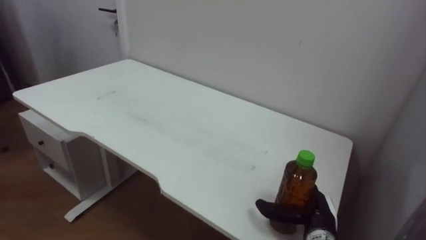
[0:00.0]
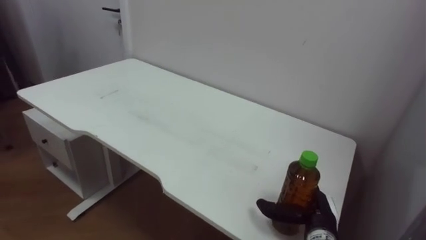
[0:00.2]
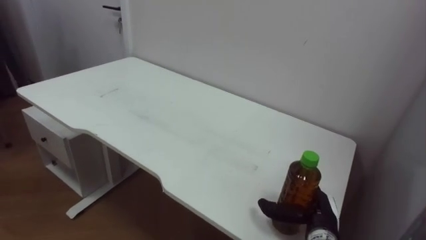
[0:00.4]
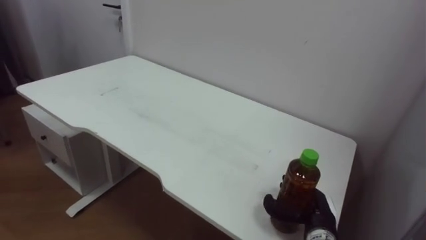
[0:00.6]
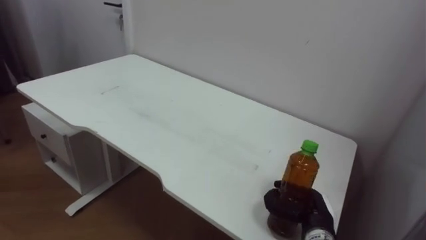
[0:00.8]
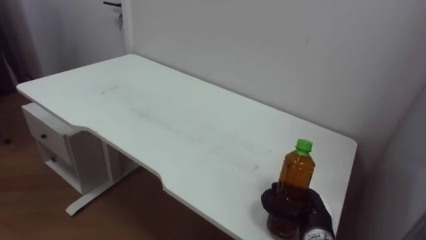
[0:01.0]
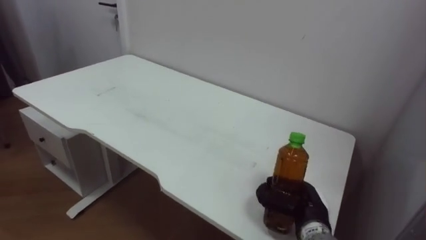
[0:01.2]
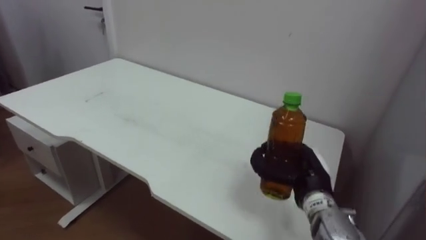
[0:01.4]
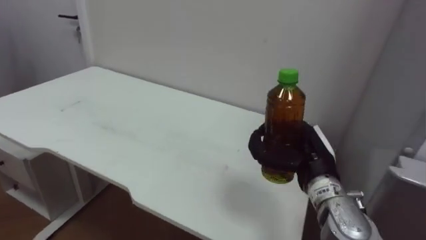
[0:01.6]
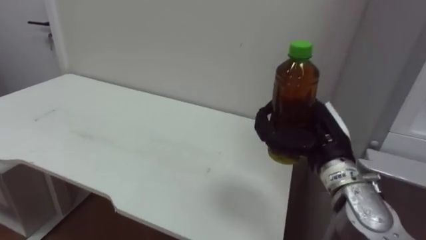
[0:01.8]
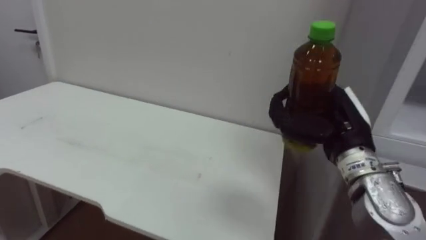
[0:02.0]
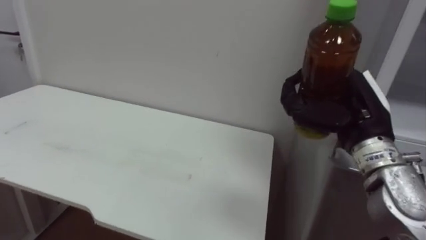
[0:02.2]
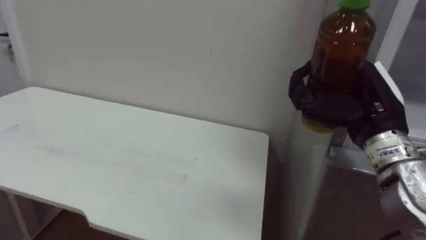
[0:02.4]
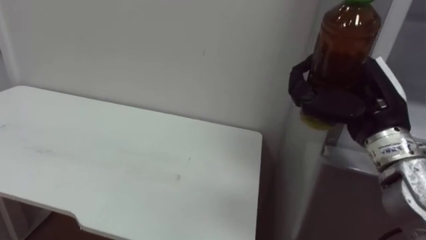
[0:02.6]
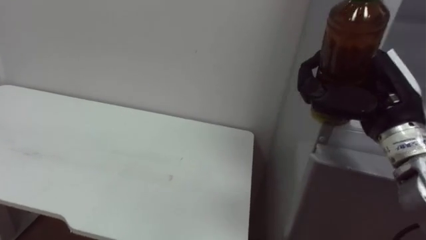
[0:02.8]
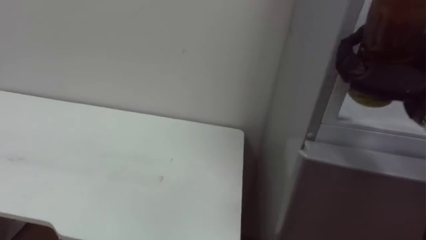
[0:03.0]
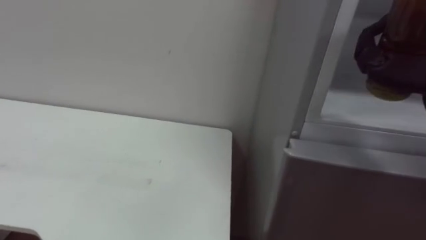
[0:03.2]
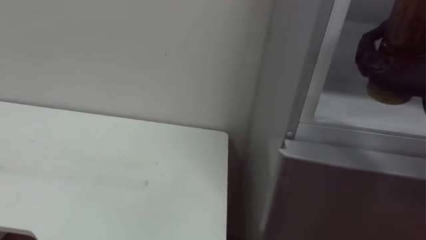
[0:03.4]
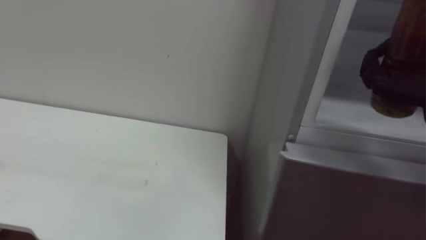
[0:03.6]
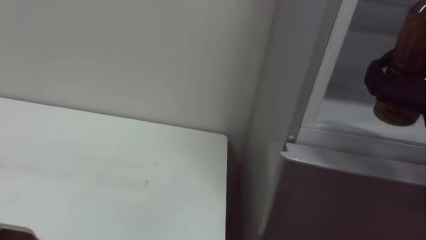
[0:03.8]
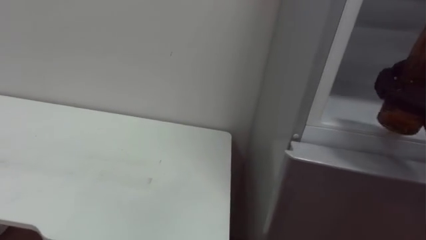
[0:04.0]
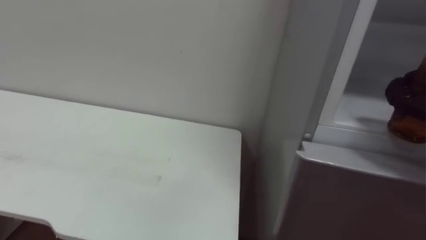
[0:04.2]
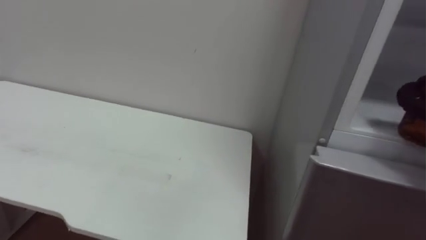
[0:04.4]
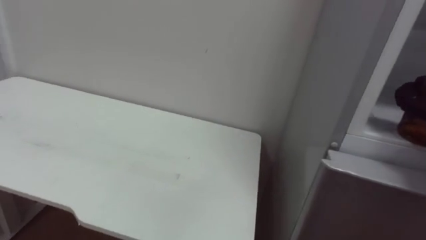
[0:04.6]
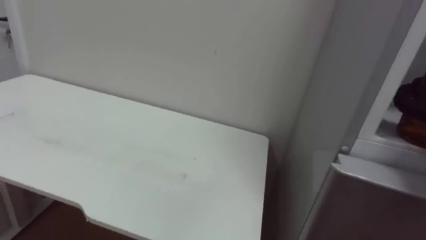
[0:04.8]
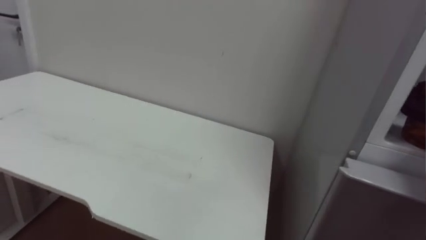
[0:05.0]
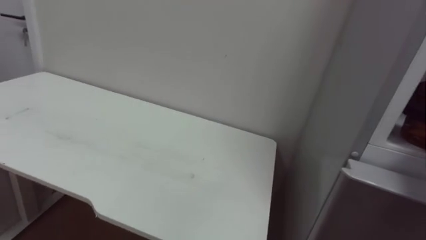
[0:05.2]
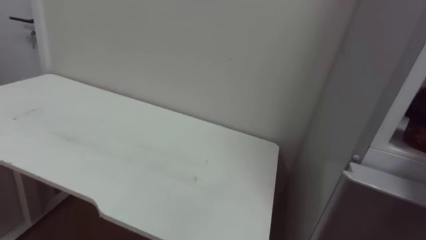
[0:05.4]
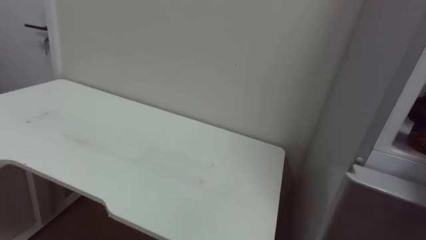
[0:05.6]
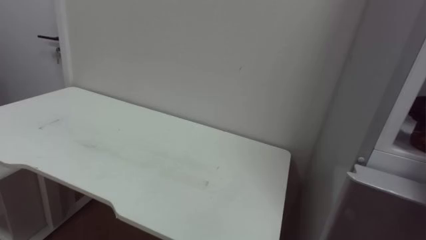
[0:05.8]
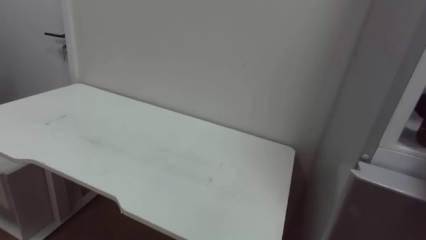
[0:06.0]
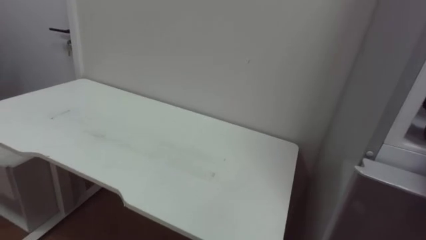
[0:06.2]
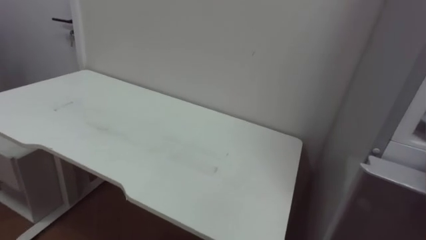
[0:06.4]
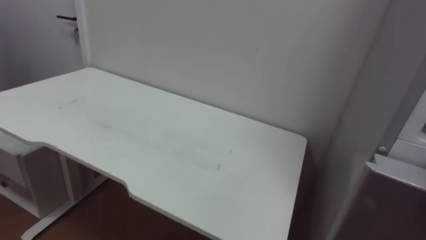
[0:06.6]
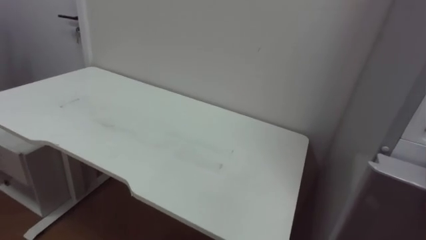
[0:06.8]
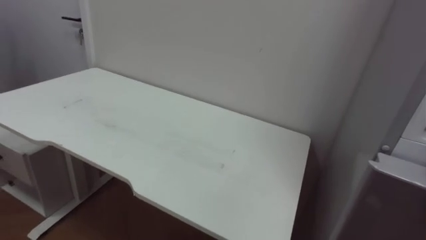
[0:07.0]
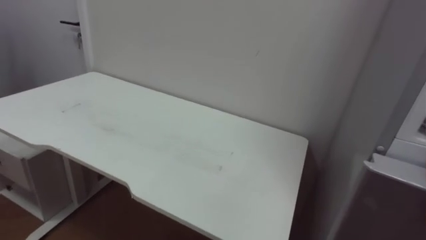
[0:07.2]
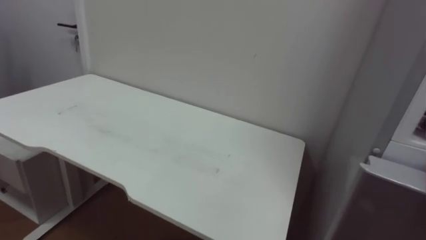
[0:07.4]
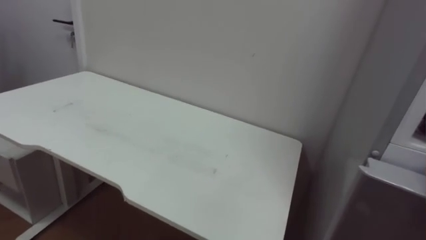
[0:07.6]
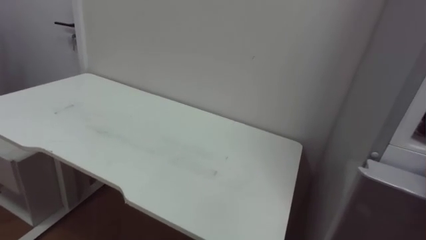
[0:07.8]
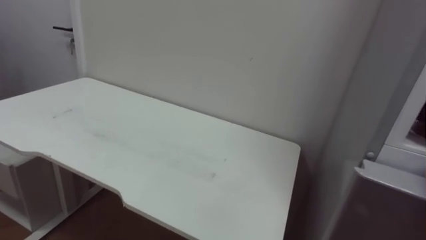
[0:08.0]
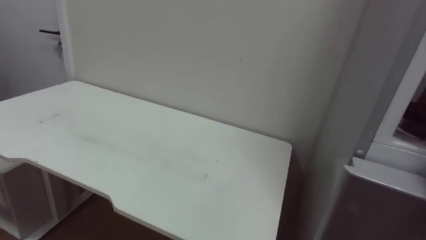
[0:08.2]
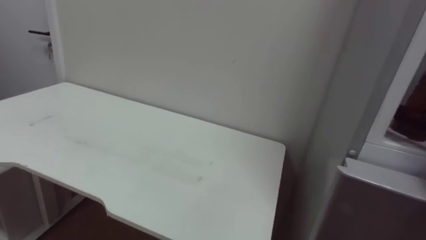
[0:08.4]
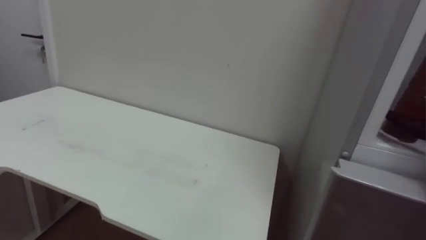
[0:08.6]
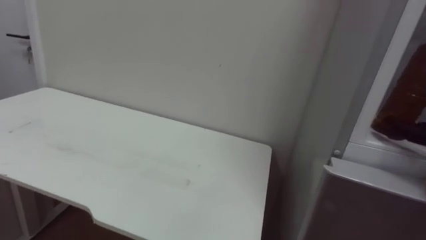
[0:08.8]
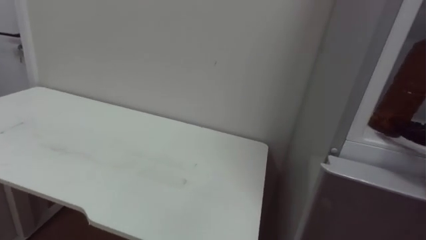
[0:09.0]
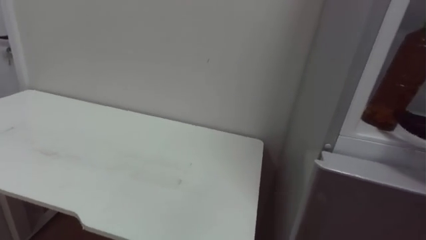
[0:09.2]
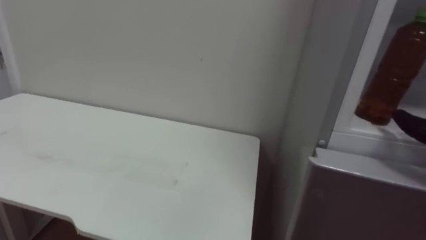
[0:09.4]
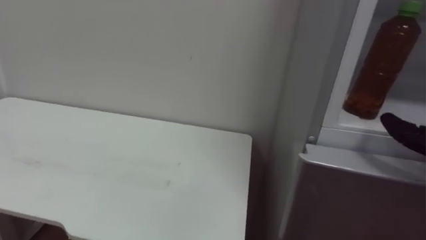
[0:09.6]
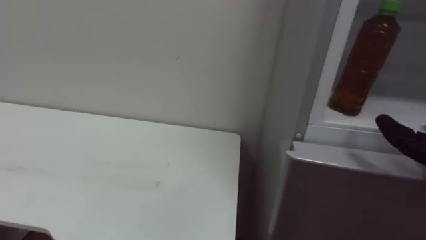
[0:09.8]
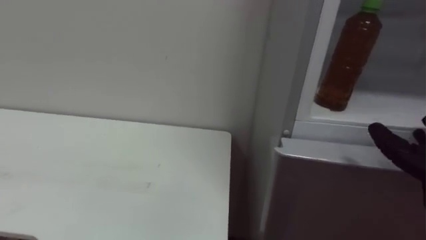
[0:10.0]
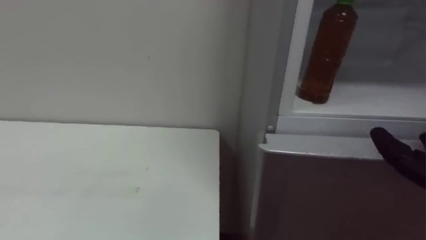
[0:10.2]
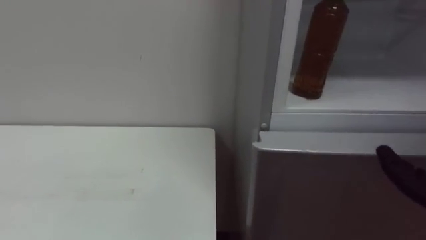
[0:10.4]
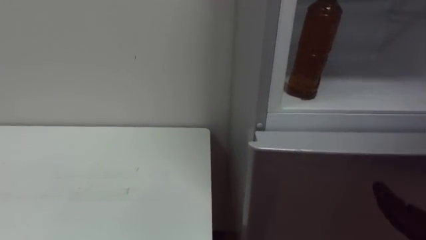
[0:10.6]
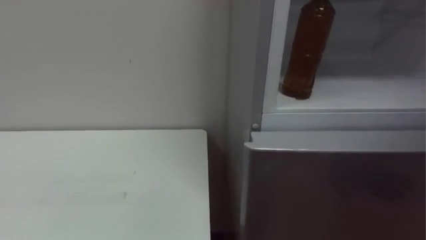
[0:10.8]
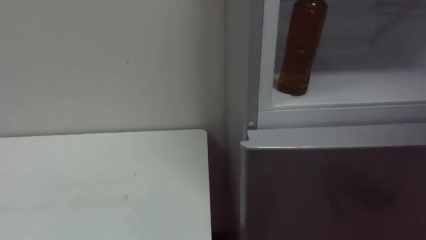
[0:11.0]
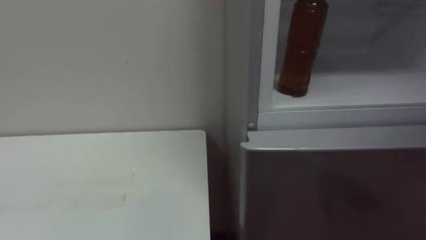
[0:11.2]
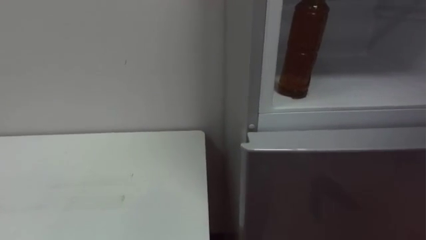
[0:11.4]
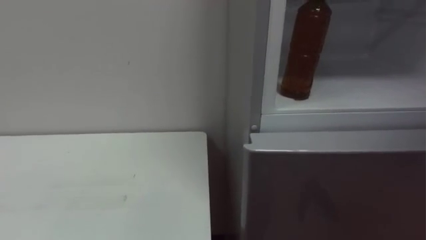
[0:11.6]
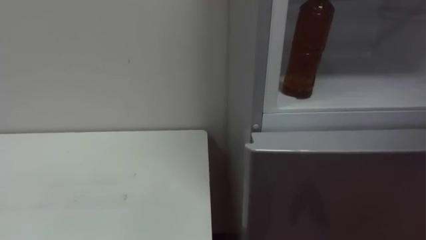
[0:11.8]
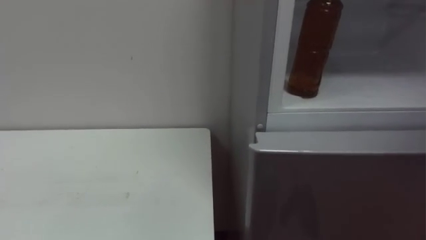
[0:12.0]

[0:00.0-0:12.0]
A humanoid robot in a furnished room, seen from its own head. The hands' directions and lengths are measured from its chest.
Task of the whole recording: Open the upper refrigerator door, put the drink from the table into the refrigerator, and then close the refrigerator door.
0:00.0 to 0:01.6: The right hand moves upward, about 15 cm, and closes its fingers.
0:01.6 to 0:03.0: The right hand shifts roughly 20 cm upward and to the right.

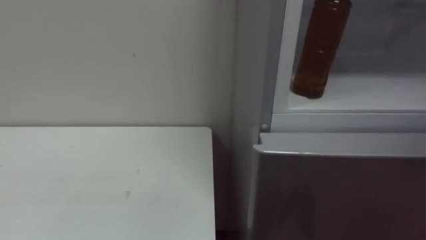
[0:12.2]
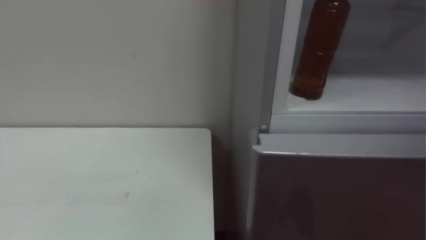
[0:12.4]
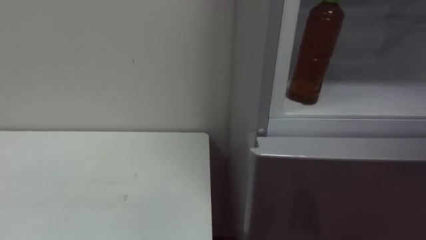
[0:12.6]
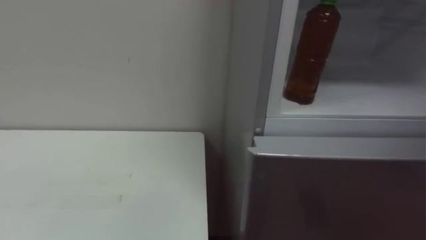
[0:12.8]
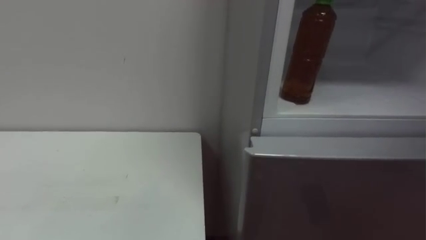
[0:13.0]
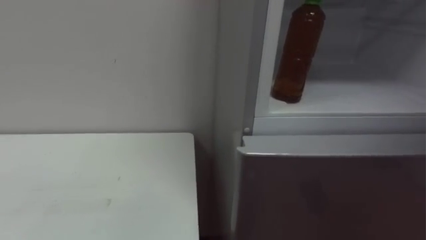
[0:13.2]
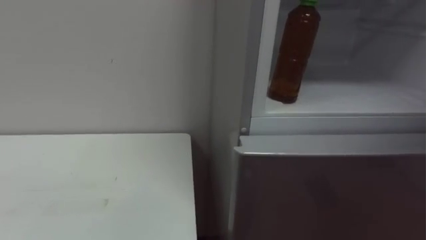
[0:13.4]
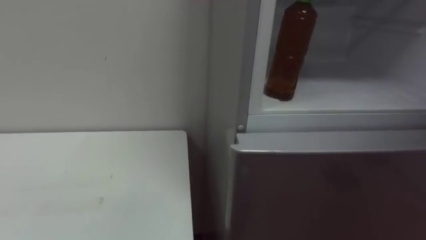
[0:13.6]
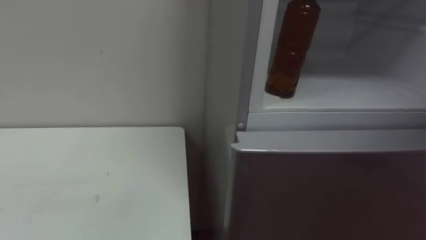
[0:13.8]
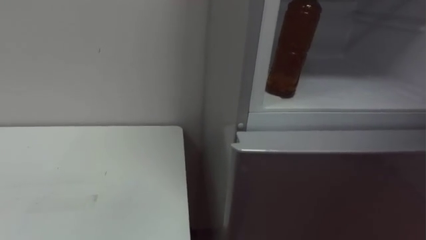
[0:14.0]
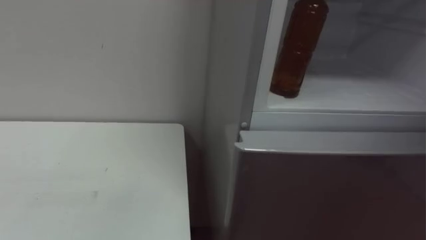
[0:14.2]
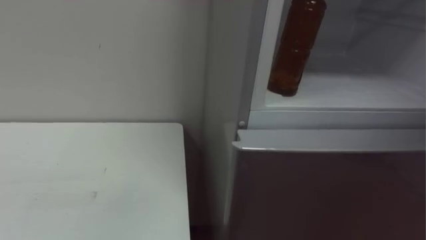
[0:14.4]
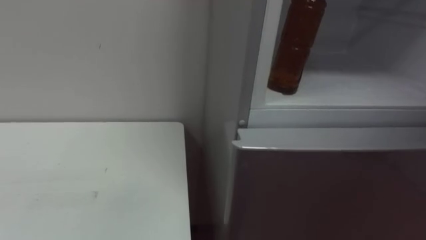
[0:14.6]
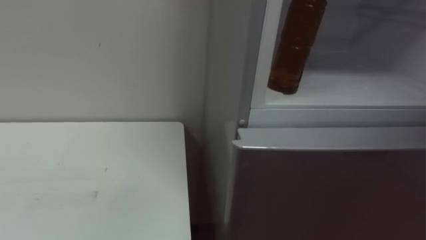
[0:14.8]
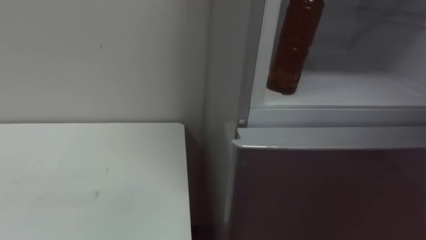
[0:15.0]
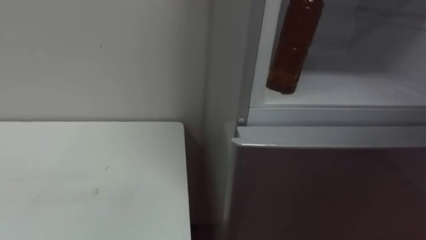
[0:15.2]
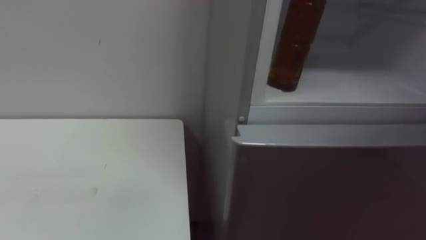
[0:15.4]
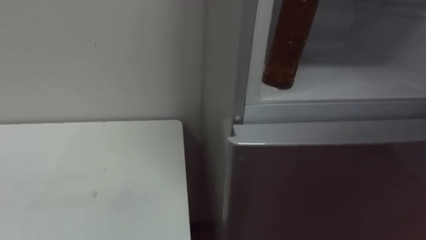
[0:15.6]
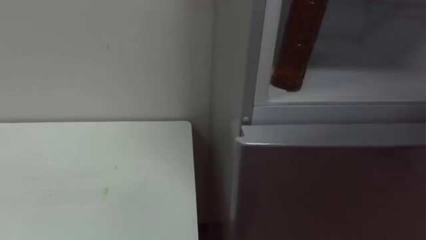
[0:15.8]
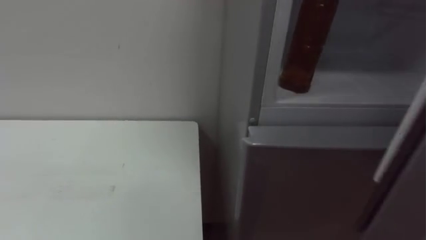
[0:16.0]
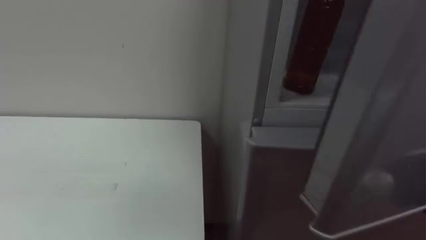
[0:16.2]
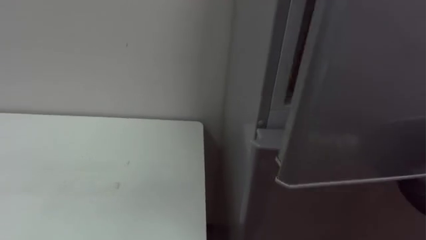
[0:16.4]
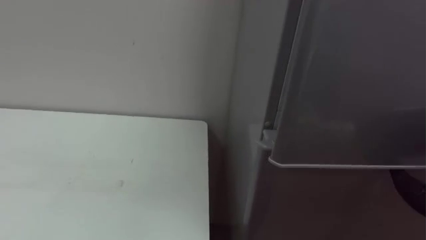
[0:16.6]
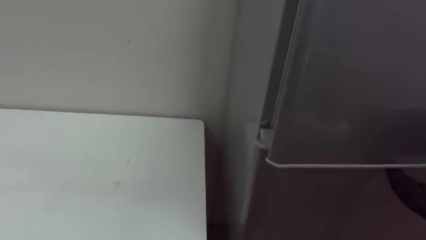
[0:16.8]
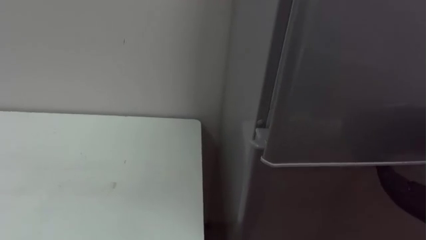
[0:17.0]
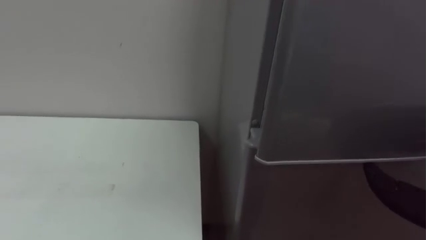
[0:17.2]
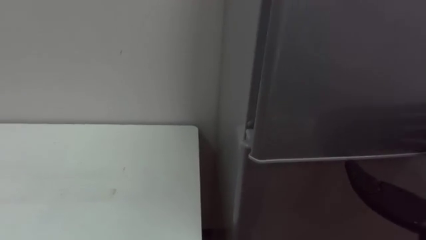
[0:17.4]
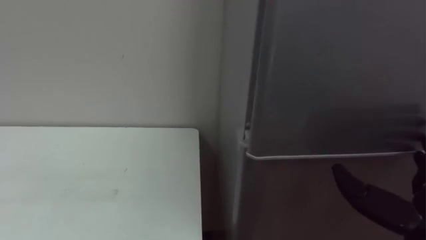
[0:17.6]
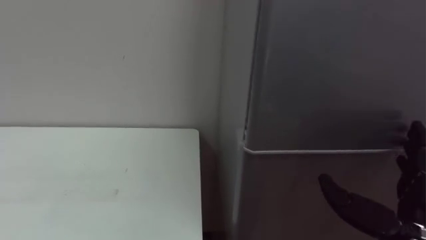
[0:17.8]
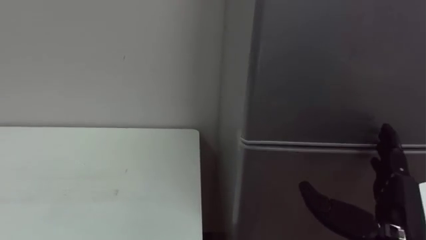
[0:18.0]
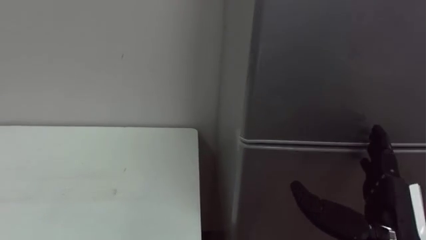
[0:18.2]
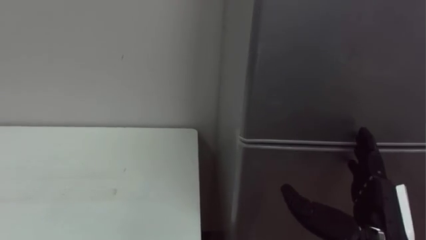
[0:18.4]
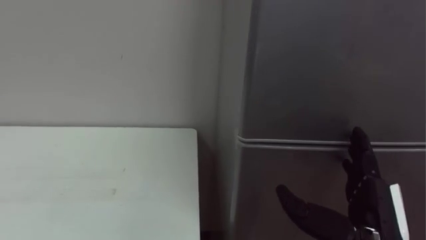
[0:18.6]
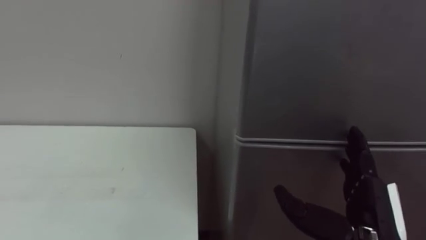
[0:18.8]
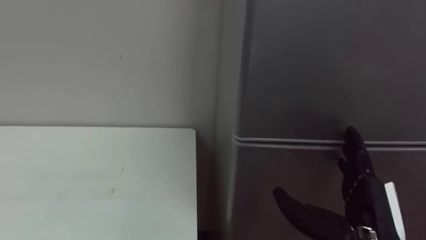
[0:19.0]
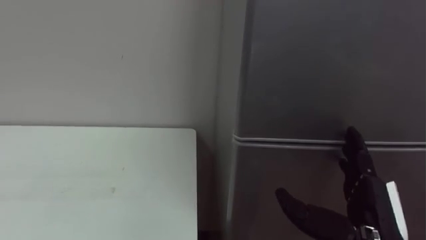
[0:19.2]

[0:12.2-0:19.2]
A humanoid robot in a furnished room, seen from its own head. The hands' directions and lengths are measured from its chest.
Task of the whole recording: Open the upper refrigerator door, put the drink from the table into the refrigerator, and then close the refrigerator door.
0:17.8 to 0:19.2: The right hand moves approximately 5 cm.
